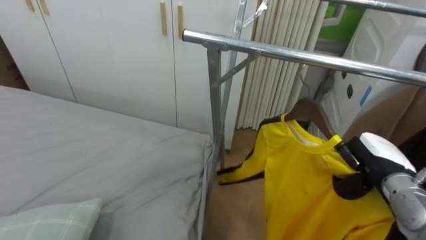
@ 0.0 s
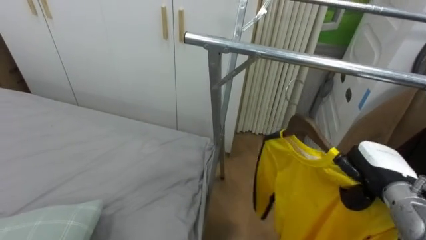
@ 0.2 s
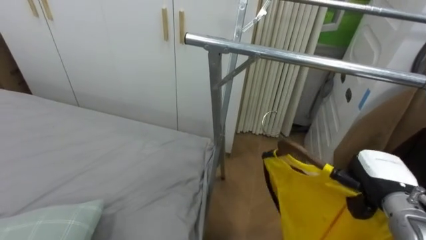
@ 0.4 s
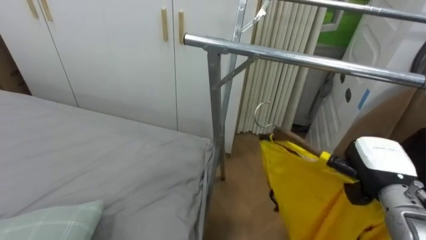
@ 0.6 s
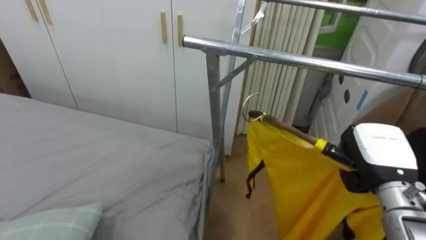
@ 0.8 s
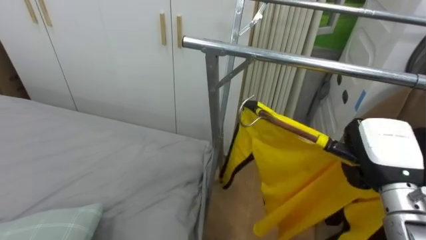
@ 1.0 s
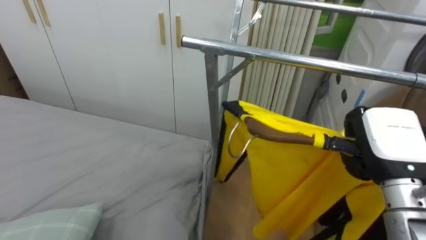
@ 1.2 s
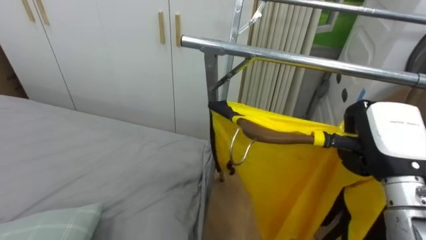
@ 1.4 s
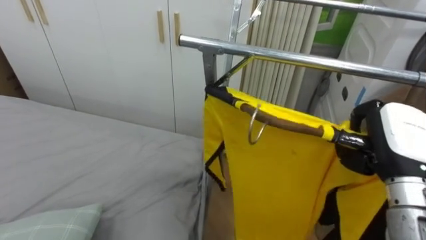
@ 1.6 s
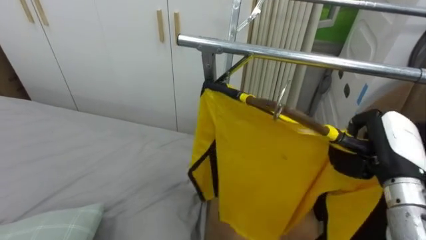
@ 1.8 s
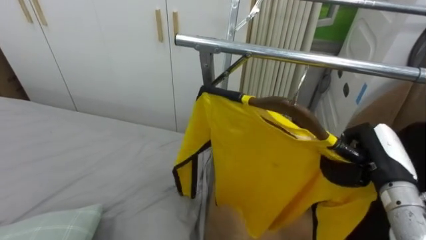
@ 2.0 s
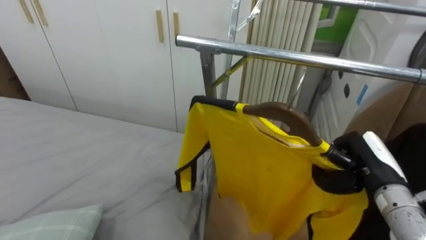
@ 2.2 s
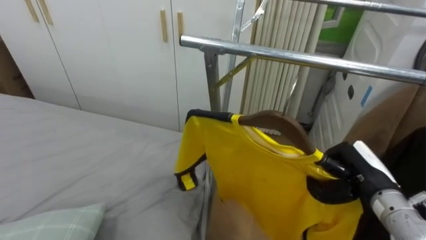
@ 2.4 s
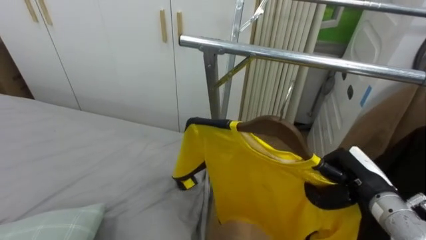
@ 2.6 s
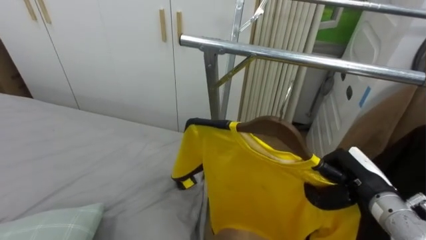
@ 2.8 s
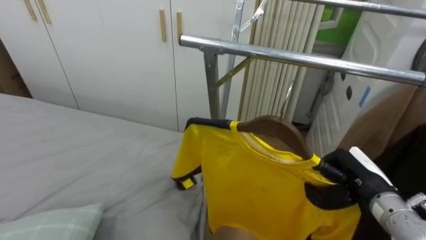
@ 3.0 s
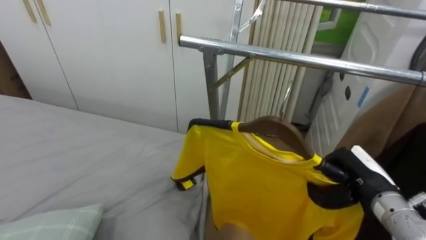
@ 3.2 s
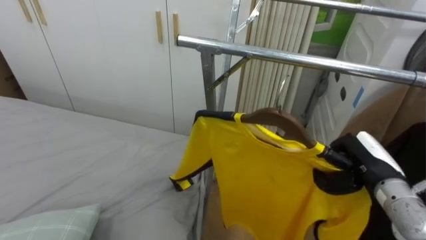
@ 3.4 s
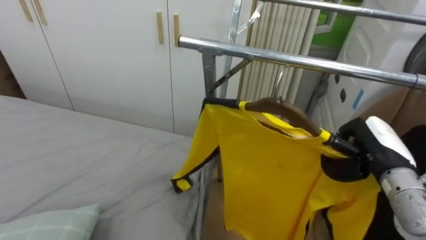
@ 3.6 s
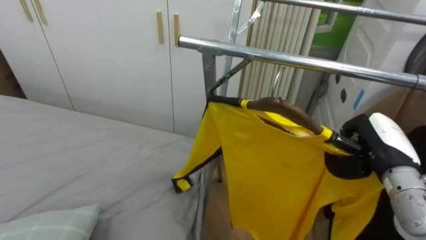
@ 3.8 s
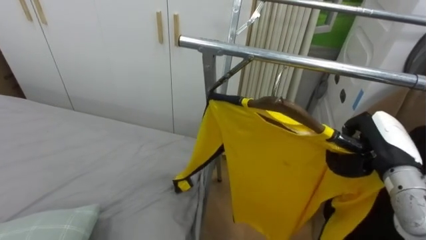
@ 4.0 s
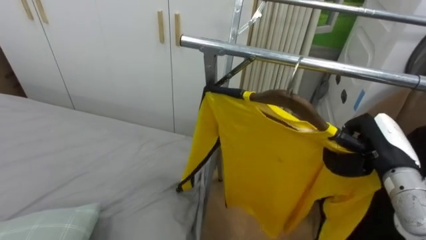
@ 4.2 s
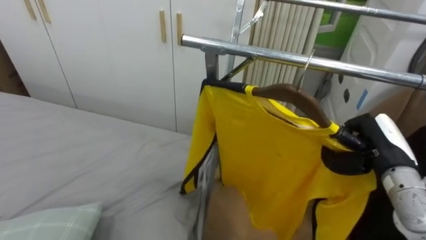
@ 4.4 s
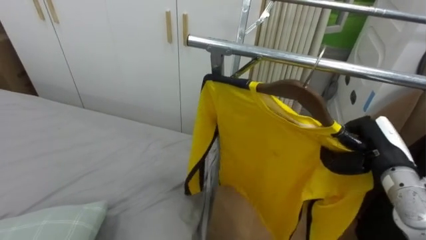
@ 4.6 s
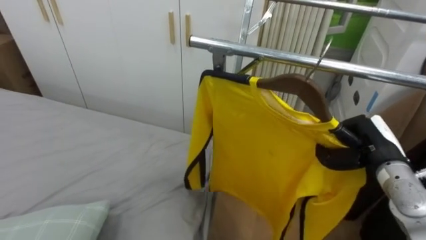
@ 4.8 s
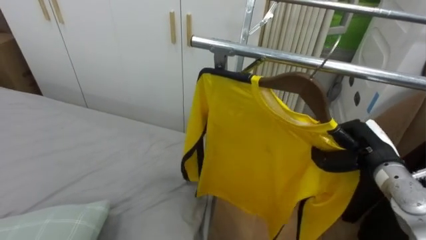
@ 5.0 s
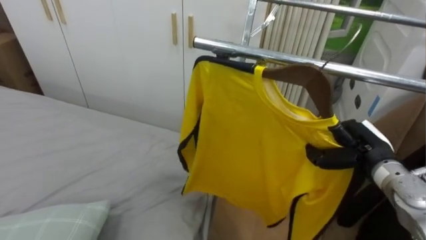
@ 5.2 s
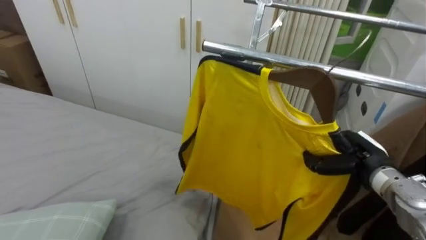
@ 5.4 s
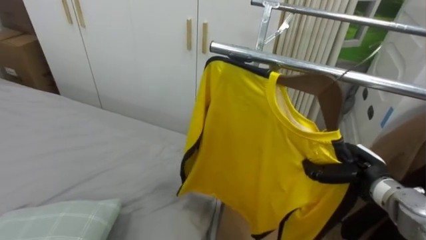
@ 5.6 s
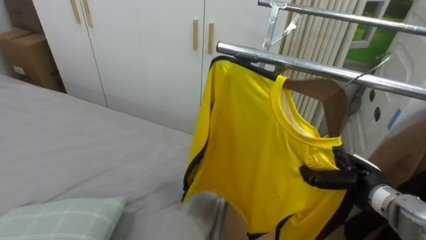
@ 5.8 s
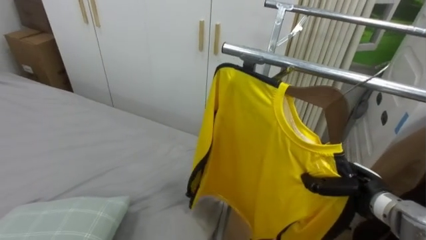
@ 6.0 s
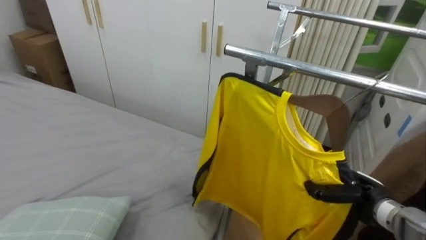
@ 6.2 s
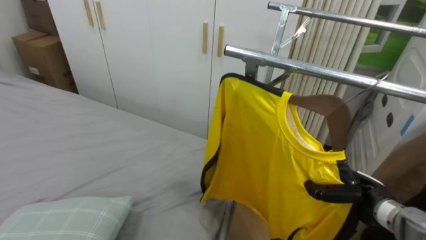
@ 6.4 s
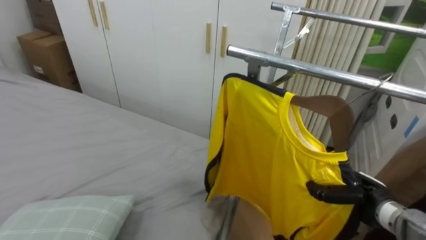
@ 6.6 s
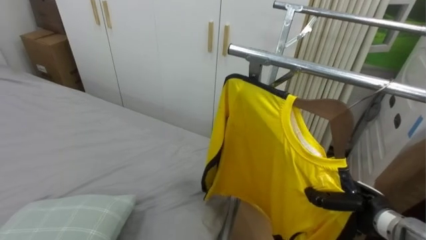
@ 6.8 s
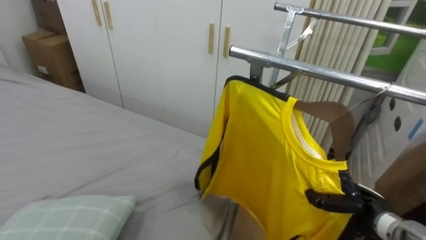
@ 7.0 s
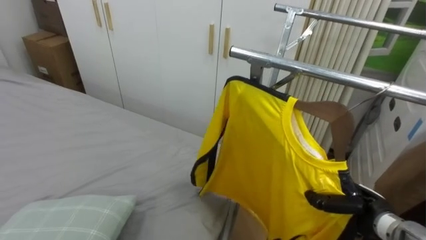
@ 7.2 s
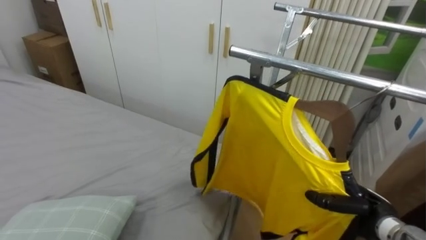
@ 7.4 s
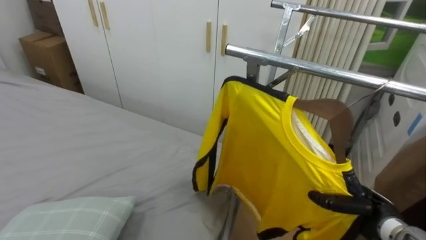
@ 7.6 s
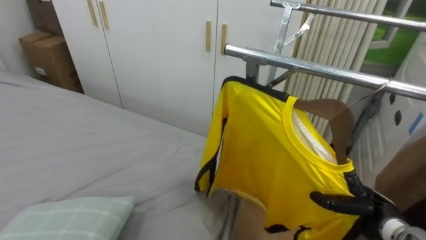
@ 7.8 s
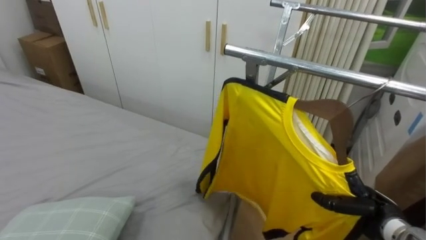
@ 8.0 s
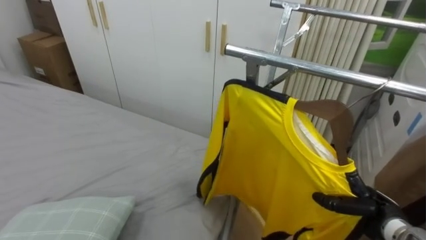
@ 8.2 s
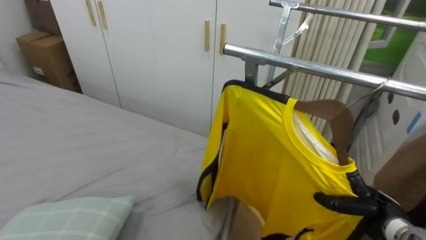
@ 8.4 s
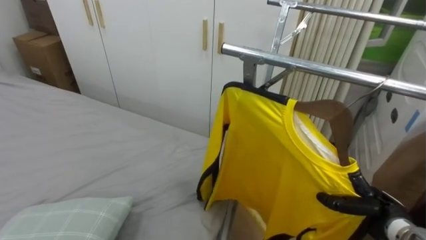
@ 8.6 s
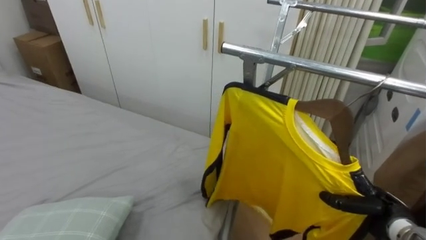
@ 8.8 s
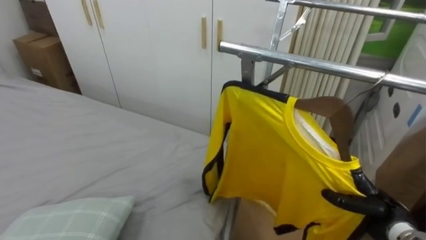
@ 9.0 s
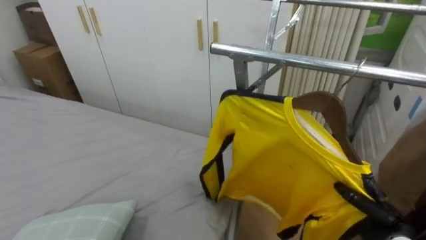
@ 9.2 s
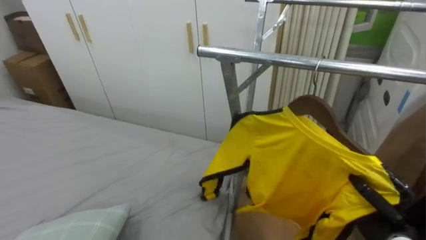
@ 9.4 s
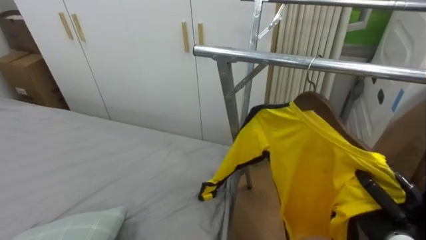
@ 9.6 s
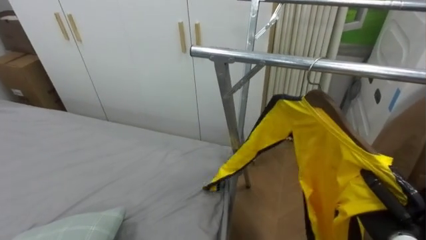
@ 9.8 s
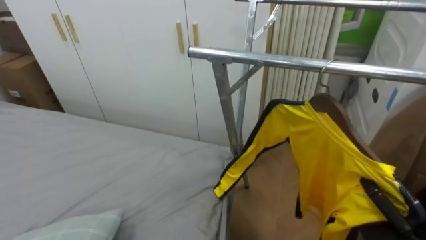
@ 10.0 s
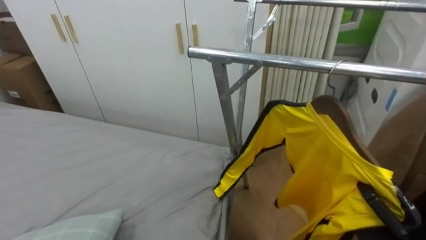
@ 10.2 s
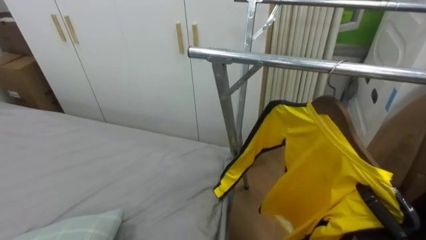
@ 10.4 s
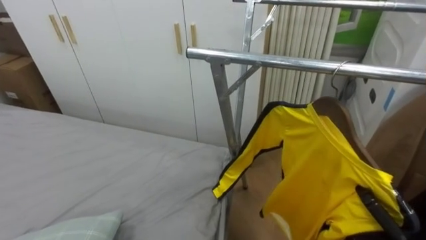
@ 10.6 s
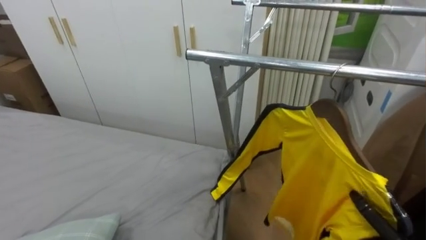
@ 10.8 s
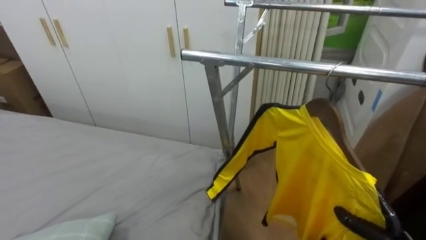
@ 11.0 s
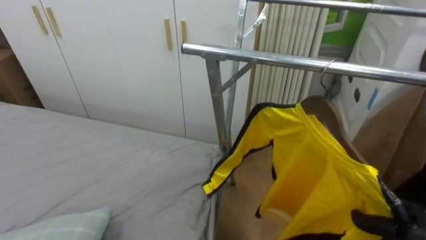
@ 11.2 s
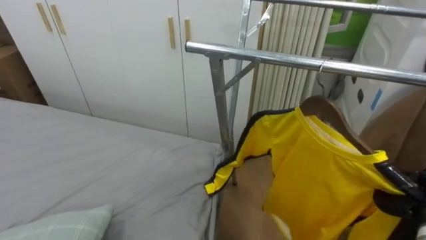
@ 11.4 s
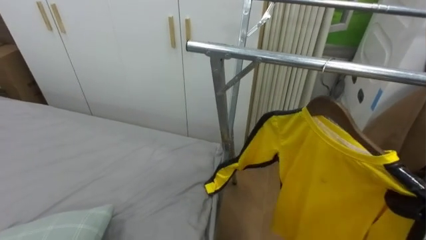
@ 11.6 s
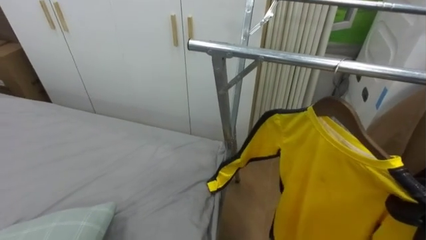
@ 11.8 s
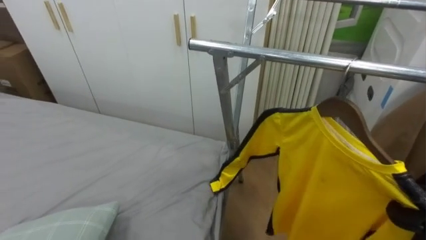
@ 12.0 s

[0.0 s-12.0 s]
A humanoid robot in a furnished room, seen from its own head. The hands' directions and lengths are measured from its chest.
Task of the whole recording: Pick up the yellow shirt on the bed and hang it on the clothes rack on the right.
0.0 to 1.6 s: The right hand shifts approximately 10 cm upward.
1.6 to 3.0 s: The right hand travels downward by roughly 10 cm.
3.0 to 4.4 s: The right hand travels upward by some 5 cm.
4.4 to 6.0 s: The right hand moves downward, approximately 10 cm.
6.0 to 7.6 s: The right hand moves roughly 5 cm.

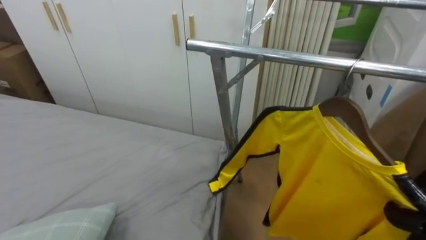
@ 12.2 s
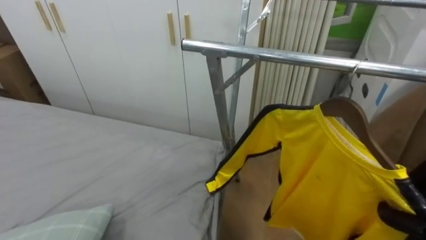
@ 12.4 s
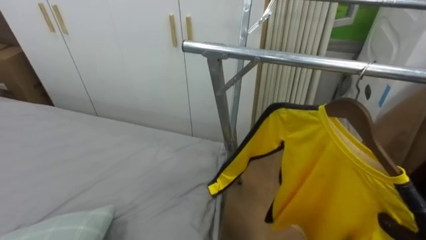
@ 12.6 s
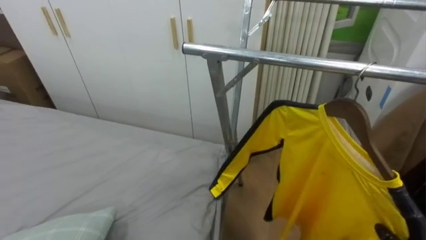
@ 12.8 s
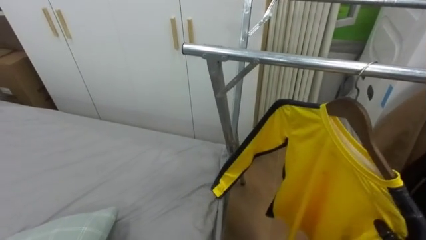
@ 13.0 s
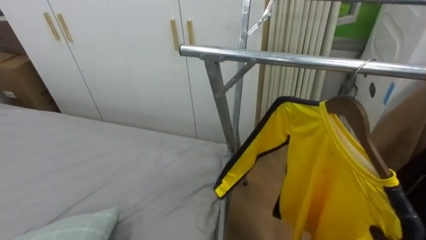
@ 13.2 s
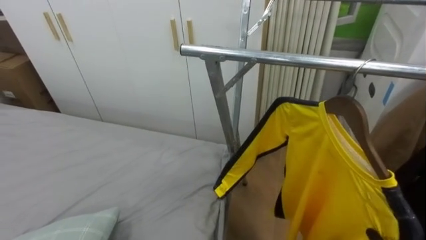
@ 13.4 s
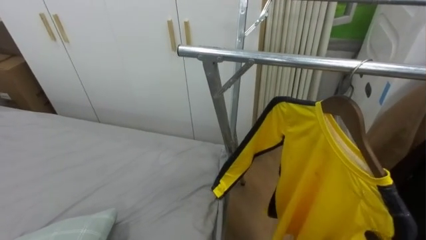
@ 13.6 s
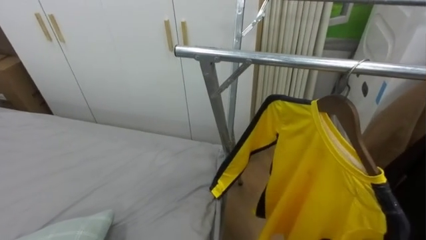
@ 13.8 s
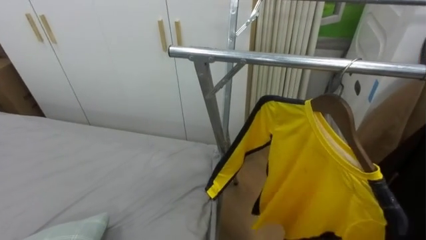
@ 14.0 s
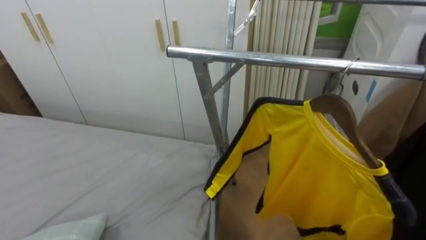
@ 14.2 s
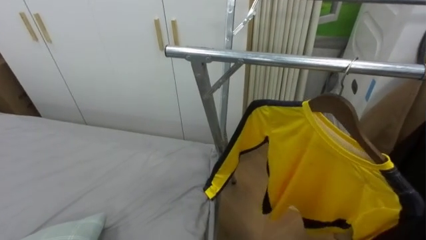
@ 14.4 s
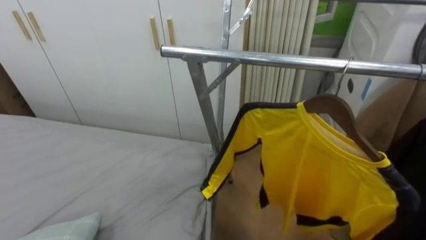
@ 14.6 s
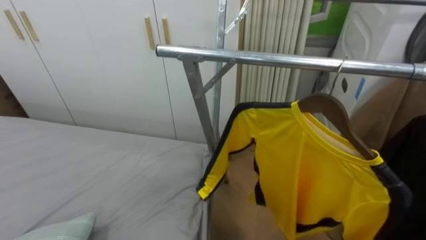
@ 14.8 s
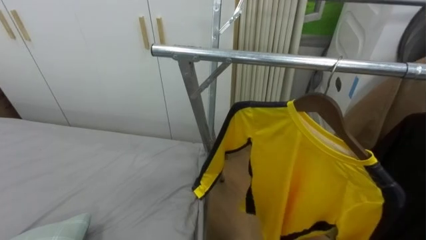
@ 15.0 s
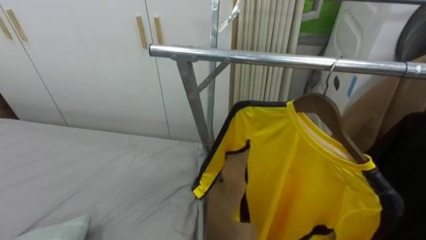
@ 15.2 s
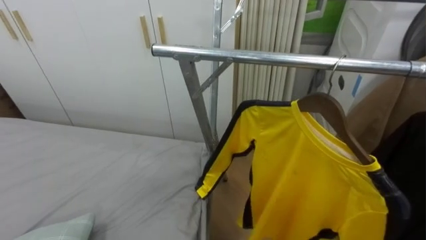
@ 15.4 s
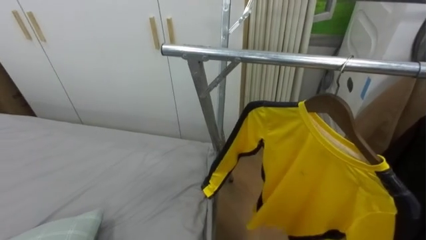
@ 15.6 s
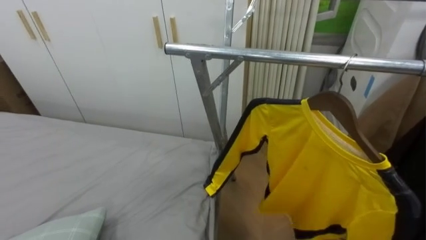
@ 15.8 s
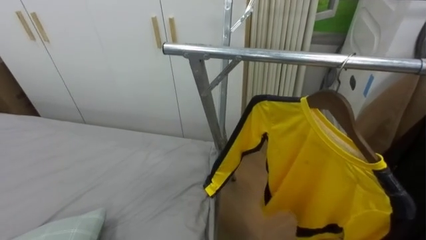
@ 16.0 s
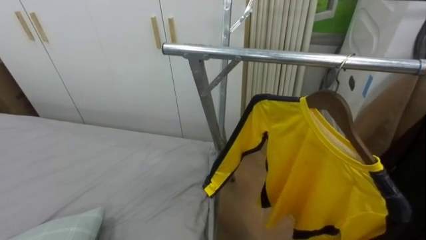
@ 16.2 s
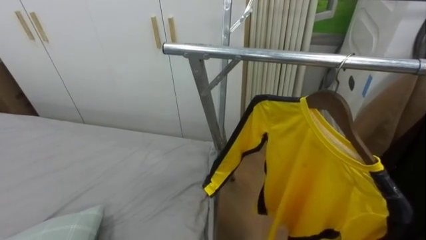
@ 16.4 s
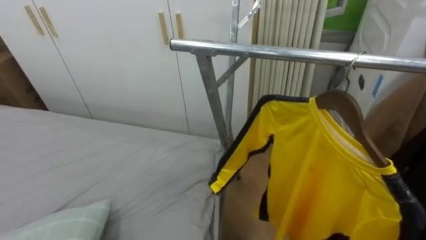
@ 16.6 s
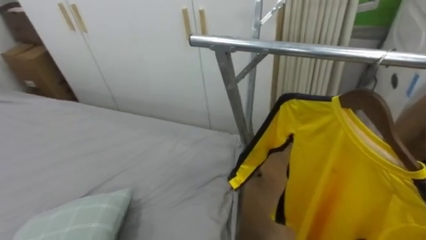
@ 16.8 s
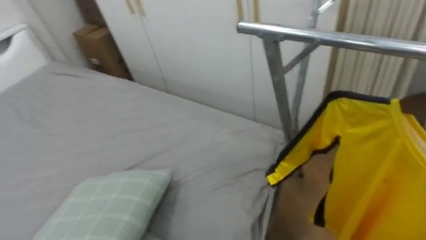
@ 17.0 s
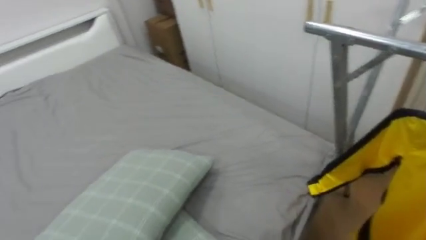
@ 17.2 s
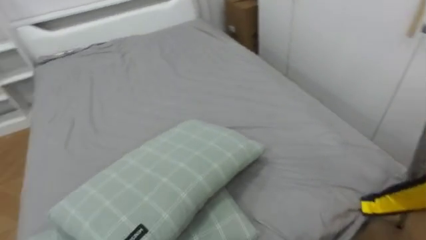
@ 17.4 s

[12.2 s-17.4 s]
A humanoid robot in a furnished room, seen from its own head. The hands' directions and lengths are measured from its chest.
Task of the whole recording: Pick up the yellow shirt on the bed and hang it on the clothes rack on the right.
15.6 to 17.4 s: The robot turns to its left by roughly 50 degrees.
